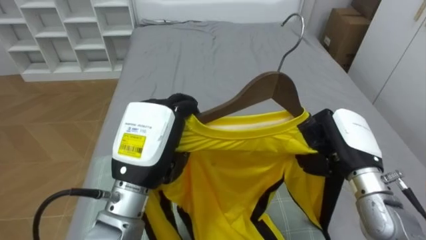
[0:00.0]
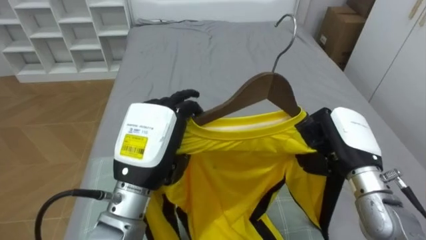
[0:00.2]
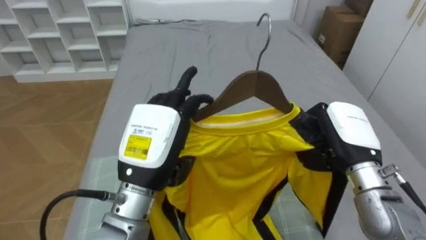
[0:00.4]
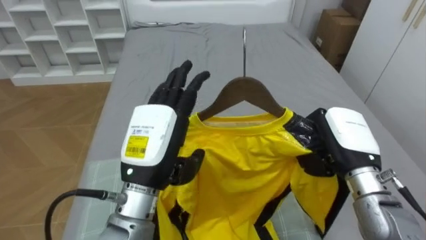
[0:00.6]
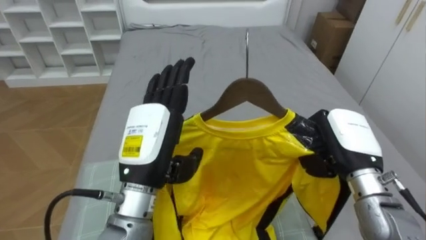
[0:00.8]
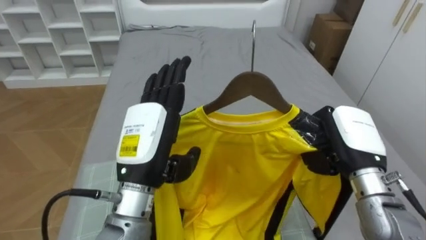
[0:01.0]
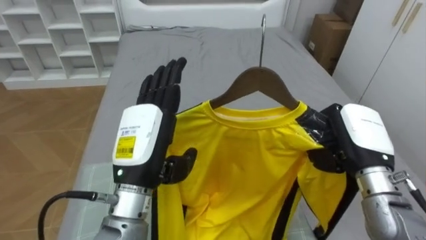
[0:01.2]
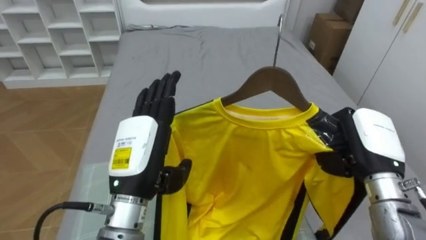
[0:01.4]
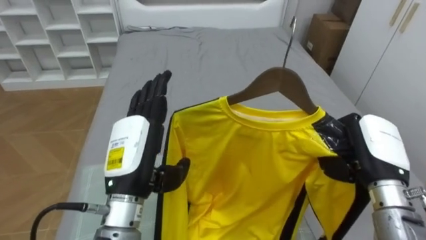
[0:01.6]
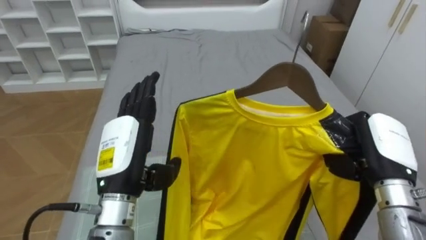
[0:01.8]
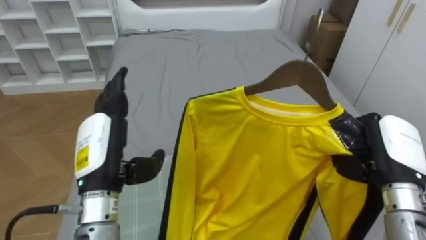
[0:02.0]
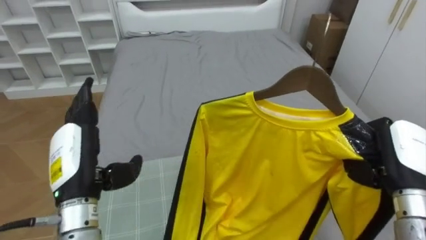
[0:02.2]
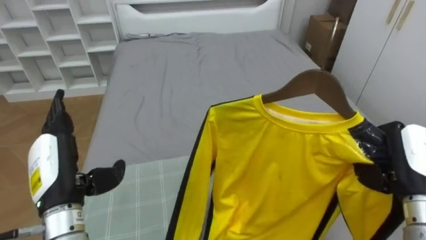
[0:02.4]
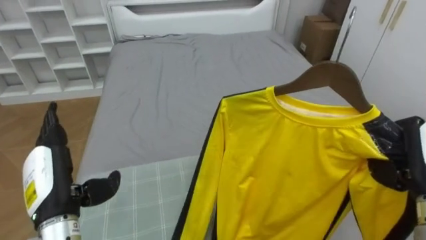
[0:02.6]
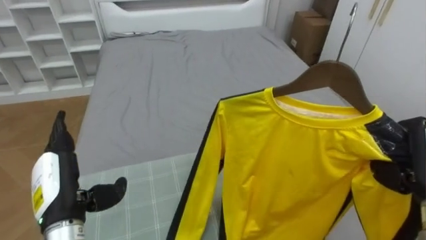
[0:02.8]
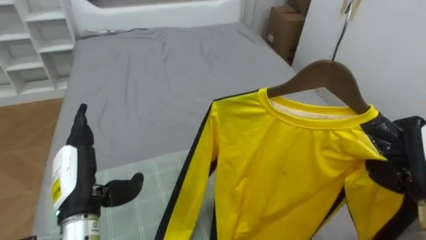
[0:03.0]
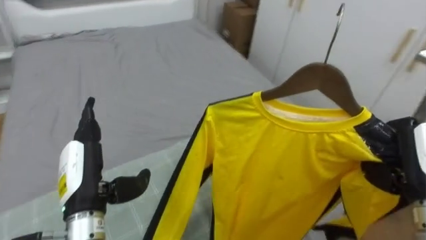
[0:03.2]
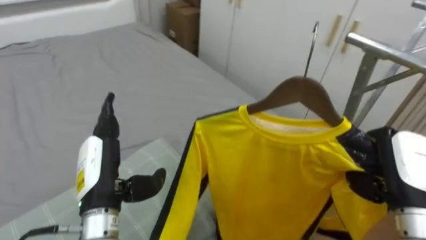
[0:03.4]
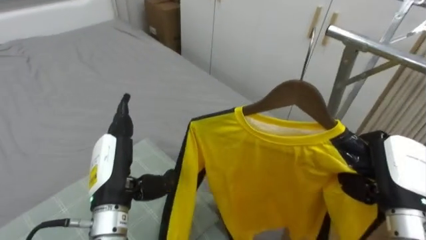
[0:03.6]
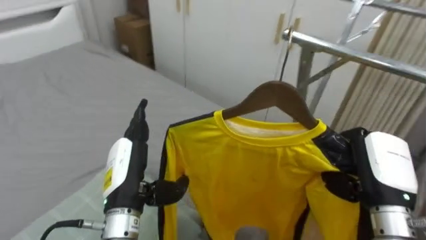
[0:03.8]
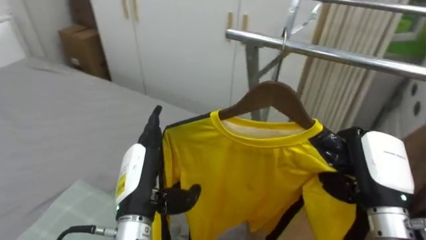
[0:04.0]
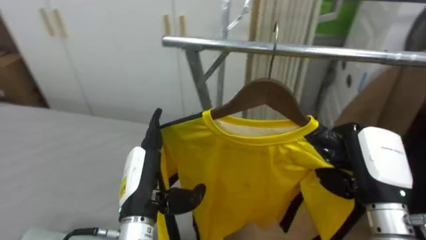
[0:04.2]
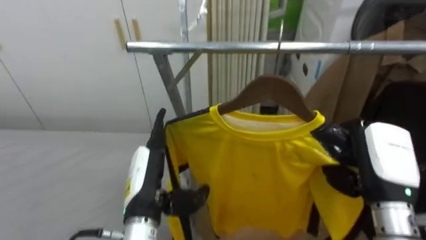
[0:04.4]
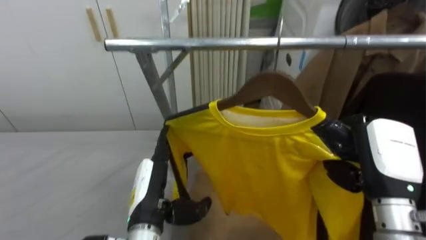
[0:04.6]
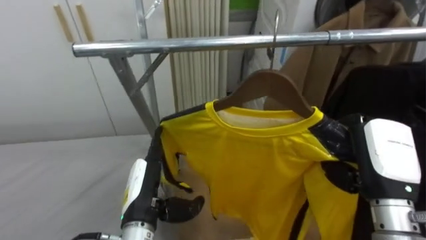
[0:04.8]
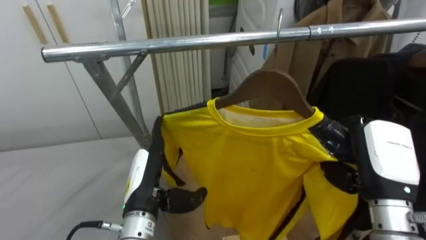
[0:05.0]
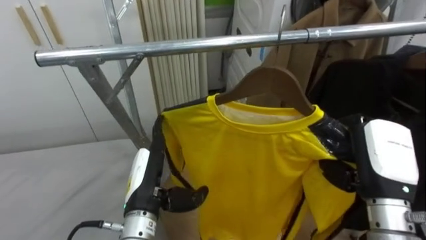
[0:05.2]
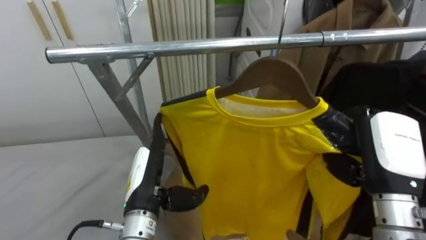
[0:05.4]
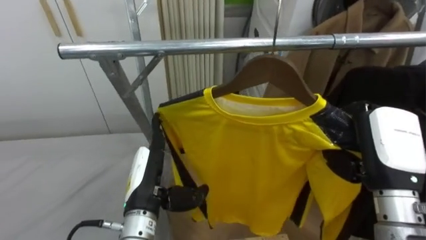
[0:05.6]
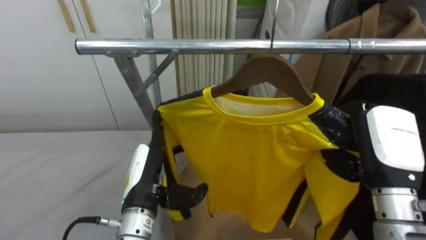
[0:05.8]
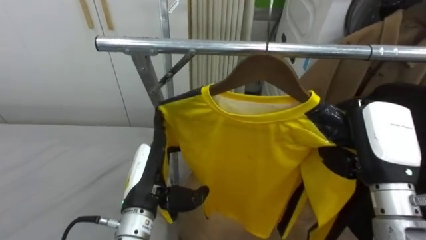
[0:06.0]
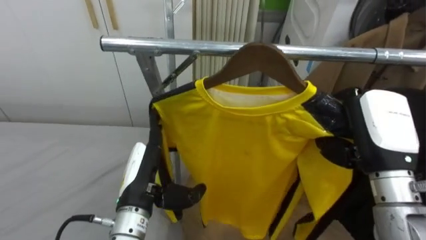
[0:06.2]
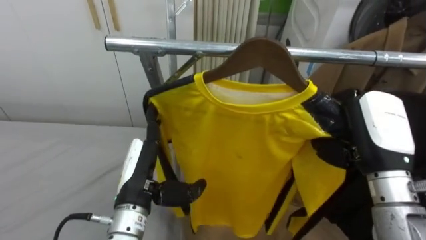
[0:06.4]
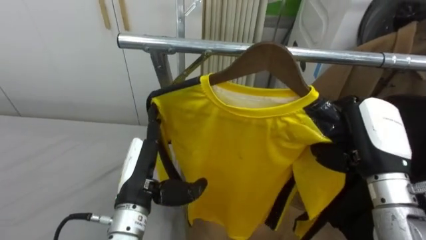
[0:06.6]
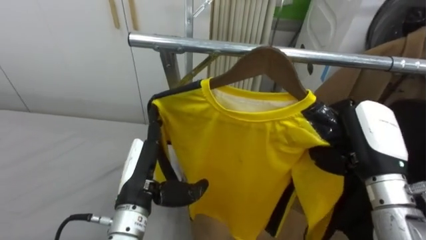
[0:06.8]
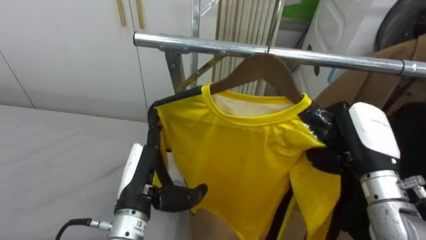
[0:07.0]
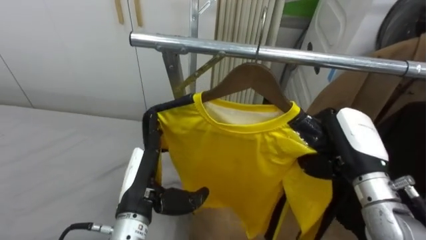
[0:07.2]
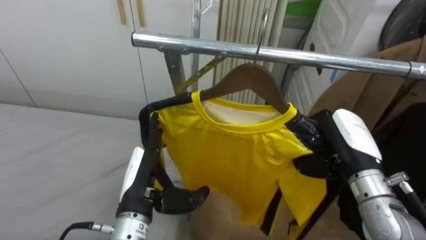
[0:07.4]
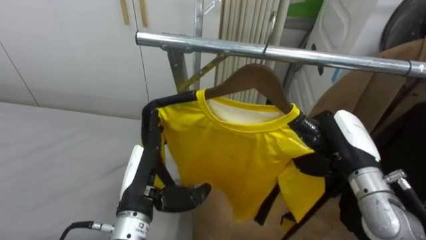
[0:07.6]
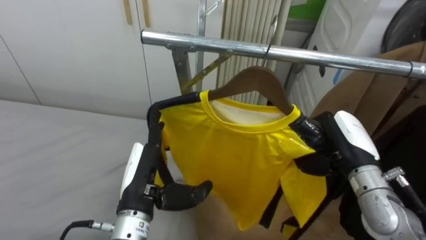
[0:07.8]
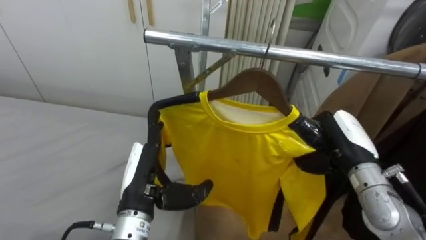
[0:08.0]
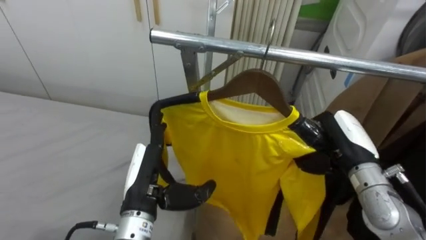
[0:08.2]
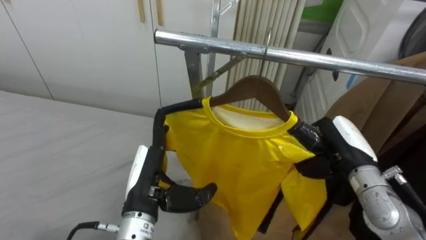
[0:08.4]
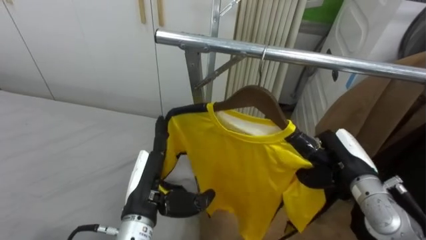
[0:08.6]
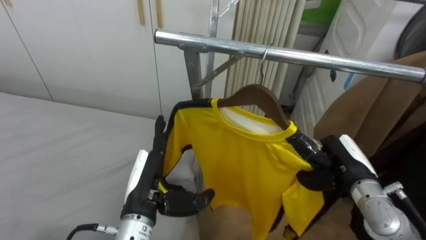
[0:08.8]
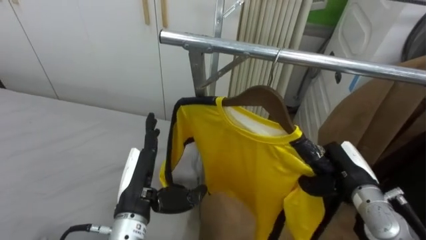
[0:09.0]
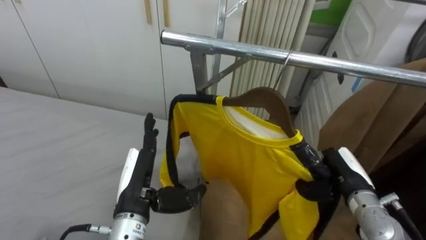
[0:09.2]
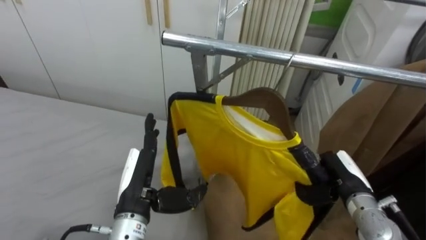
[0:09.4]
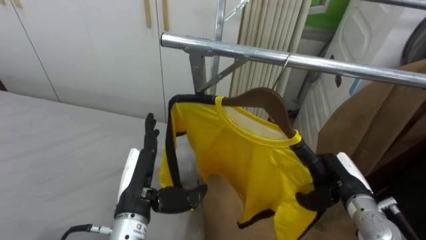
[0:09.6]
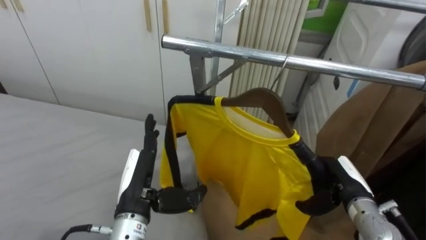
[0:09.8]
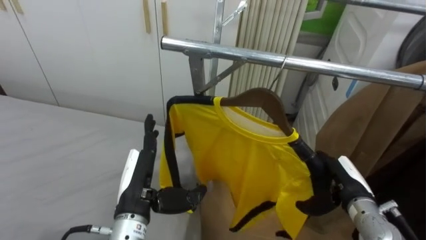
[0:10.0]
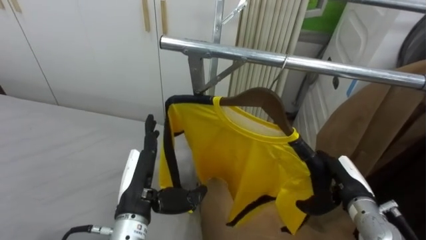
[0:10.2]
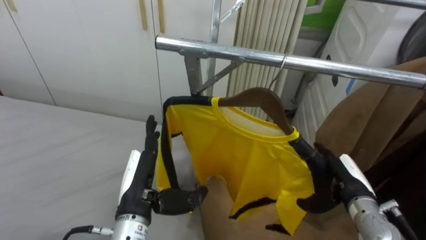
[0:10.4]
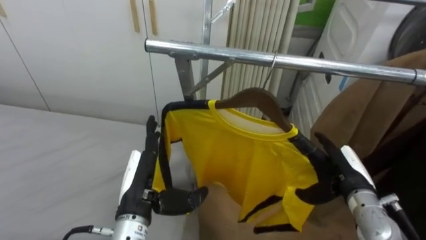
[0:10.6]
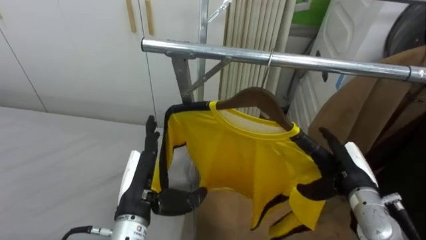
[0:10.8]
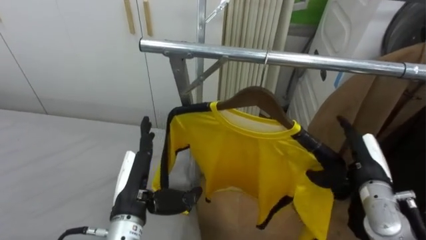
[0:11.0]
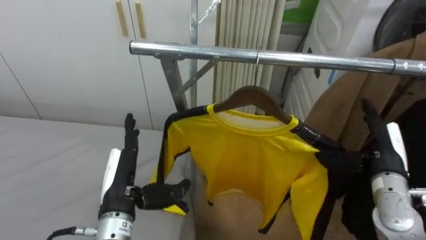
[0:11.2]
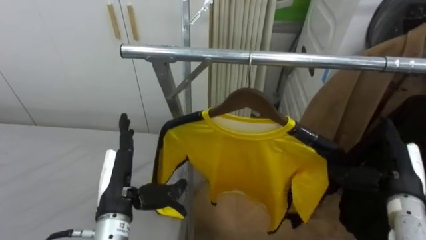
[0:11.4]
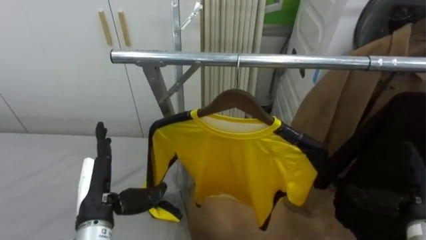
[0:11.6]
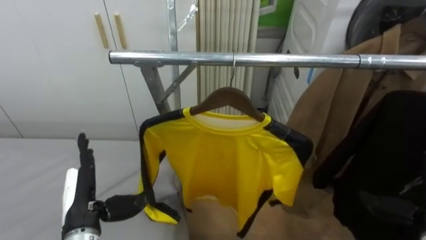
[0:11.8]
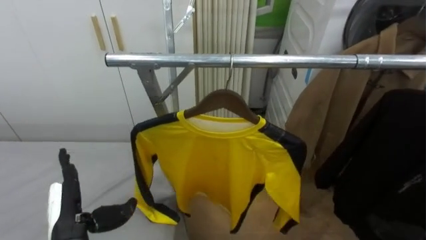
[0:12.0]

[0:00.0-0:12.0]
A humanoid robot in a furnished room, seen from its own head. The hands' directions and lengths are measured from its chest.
Task of the whole recording: Pick up the yellow shirt on the bed and hang it on the clothes rack on the right.
0:00.0 to 0:01.6: The left hand opens.
0:01.6 to 0:03.0: The right hand is displaced to the right by about 5 cm; the left hand moves to the left and downward, some 10 cm.
0:03.0 to 0:04.4: The robot faces roughly 70 degrees further to its right. The right hand travels to the left by approximately 5 cm. Meanwhile the left hand travels to the right by roughly 10 cm.
0:06.0 to 0:07.6: The right hand travels downward by about 5 cm.
0:07.6 to 0:09.0: The right hand is displaced downward by roughly 10 cm.
0:09.0 to 0:10.4: The right hand opens its fingers.
0:10.4 to 0:12.0: The left hand goes roughly 10 cm to the left.

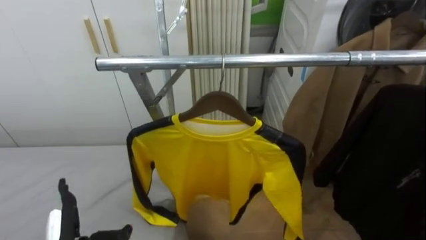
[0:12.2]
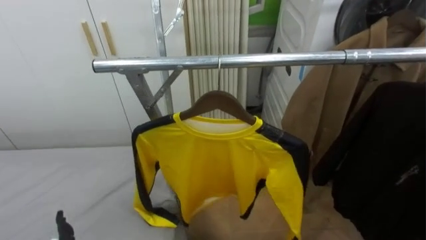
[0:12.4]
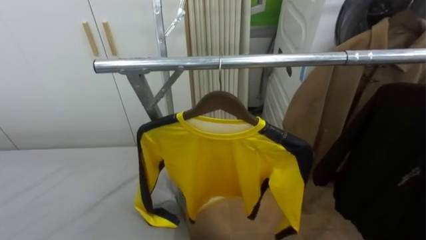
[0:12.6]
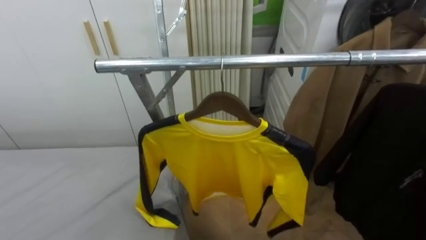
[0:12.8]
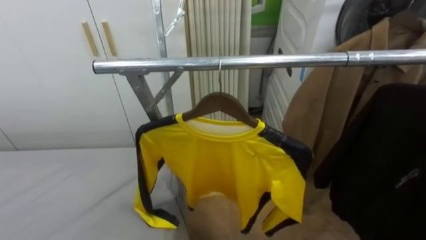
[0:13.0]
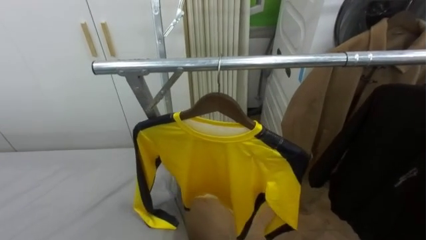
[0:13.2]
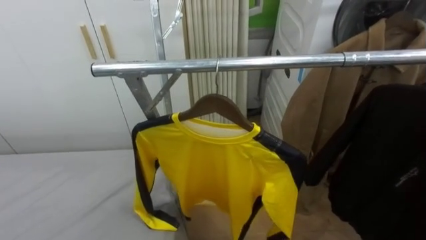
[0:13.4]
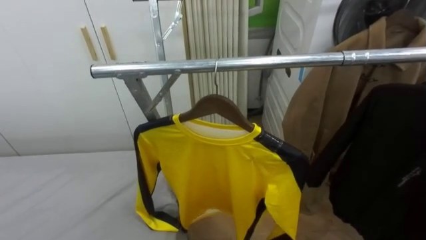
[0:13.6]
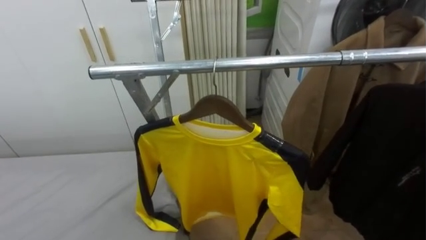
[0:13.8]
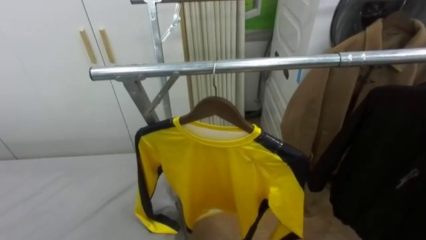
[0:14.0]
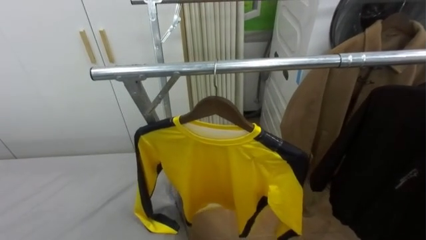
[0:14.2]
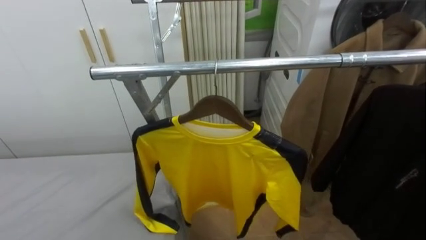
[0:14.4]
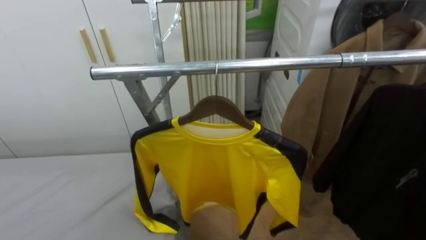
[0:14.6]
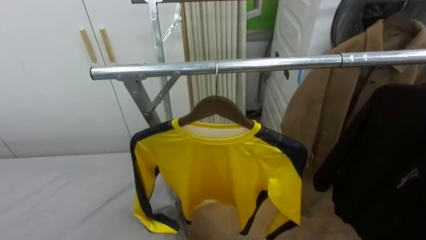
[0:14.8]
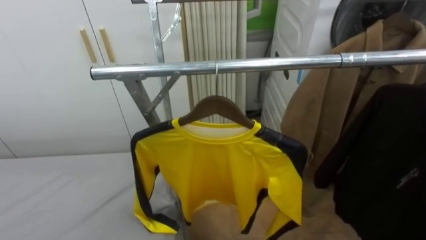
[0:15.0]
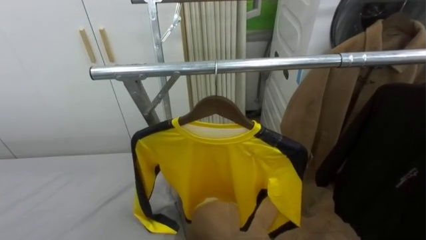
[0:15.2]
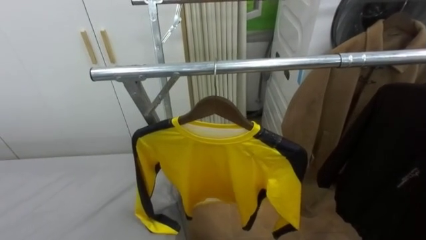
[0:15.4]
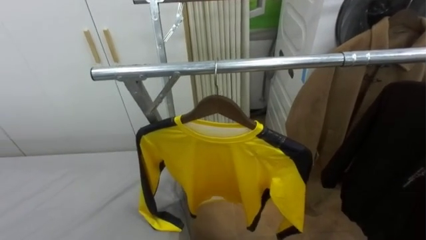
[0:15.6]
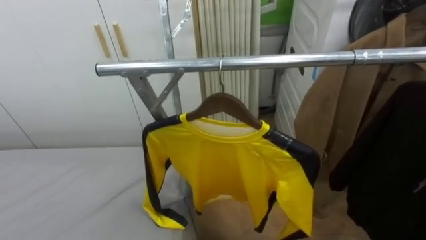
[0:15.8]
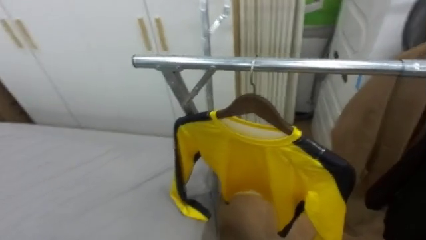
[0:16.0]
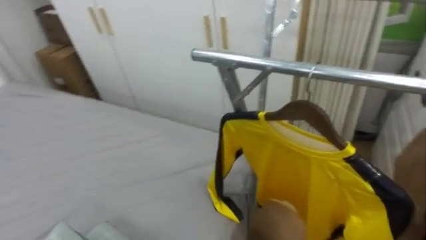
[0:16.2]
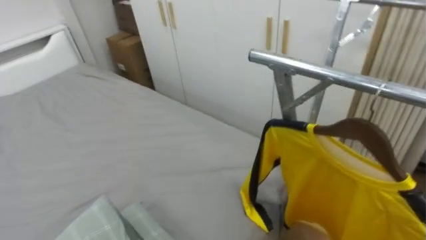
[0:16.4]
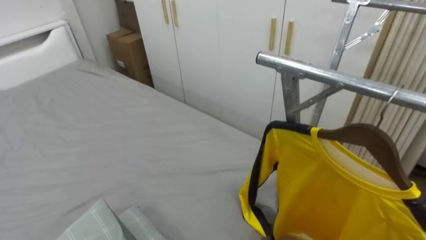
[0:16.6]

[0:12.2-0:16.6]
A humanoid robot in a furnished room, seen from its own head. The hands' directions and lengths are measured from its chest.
Task of the whole recording: Pick up the yellow shirt on the bed and hang it on the clothes rack on the right.
0:15.2 to 0:16.6: The robot's body swings some 40 degrees to its left.
